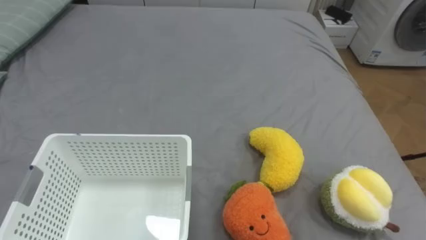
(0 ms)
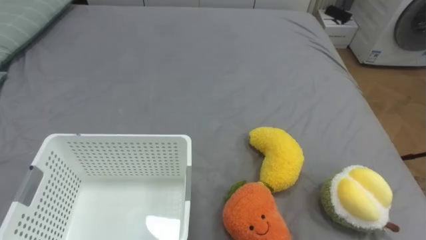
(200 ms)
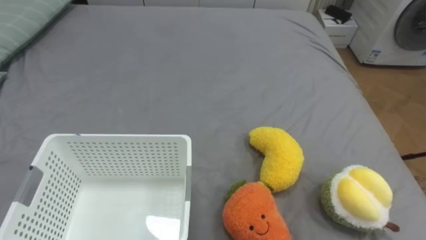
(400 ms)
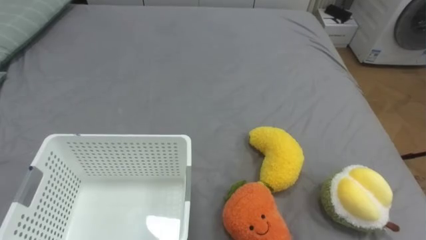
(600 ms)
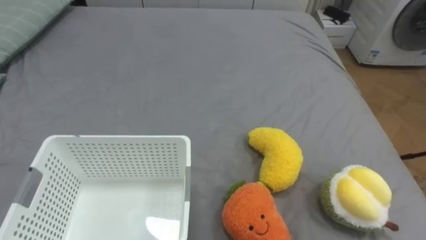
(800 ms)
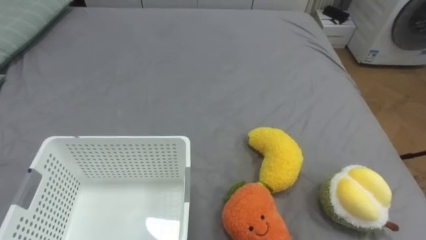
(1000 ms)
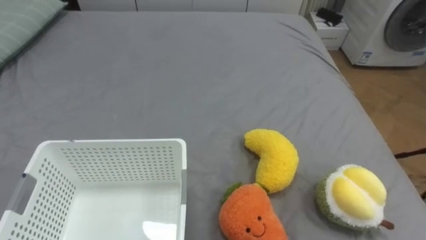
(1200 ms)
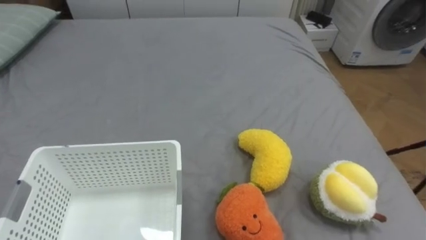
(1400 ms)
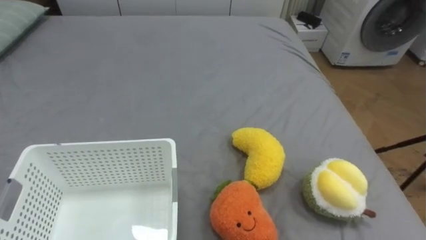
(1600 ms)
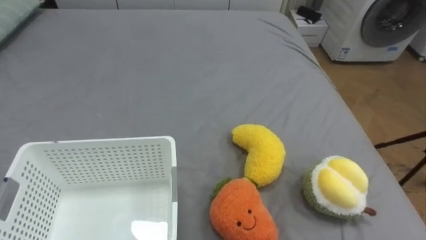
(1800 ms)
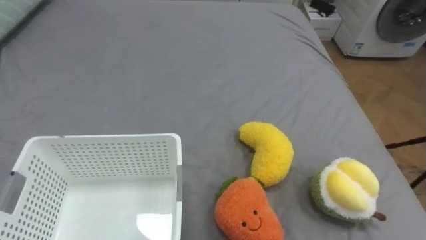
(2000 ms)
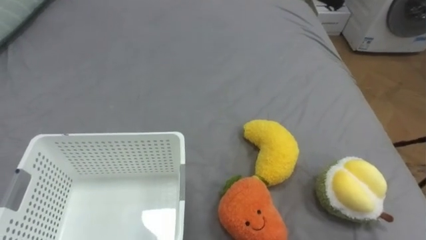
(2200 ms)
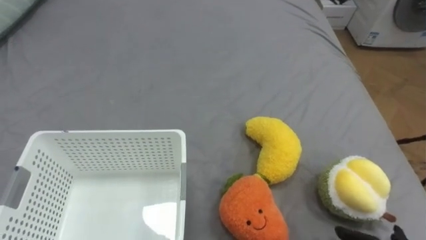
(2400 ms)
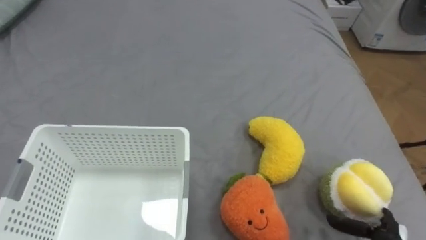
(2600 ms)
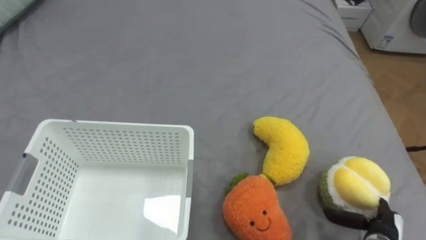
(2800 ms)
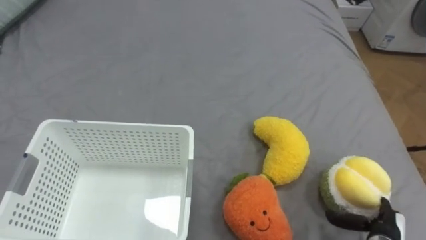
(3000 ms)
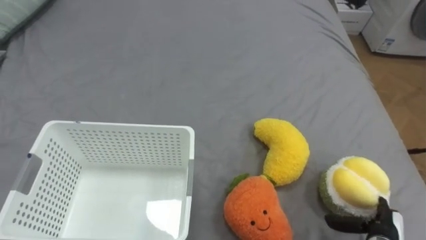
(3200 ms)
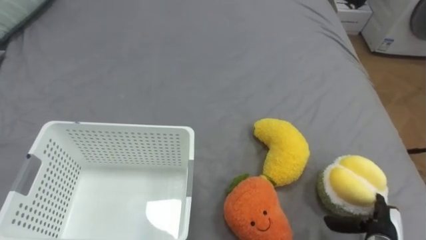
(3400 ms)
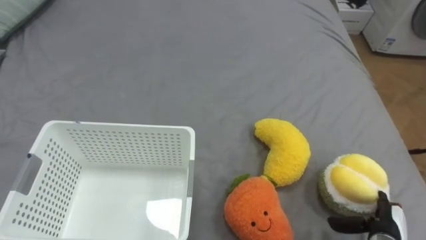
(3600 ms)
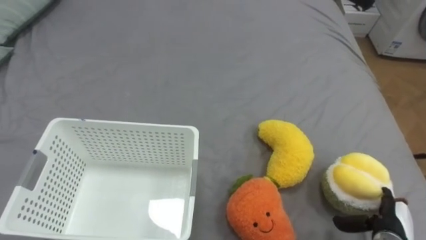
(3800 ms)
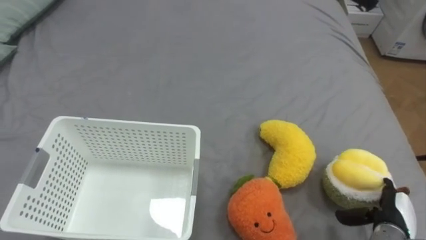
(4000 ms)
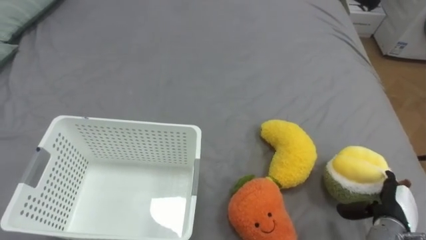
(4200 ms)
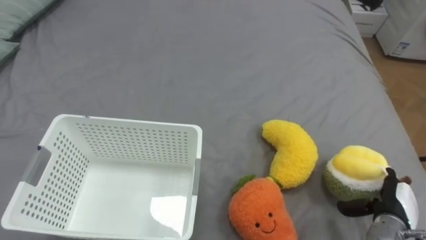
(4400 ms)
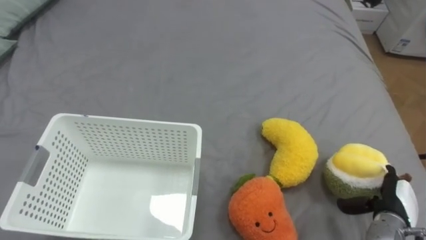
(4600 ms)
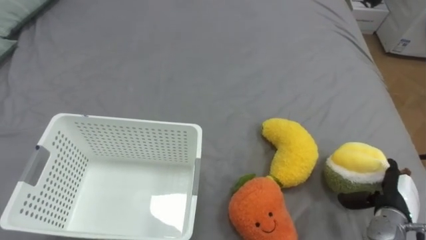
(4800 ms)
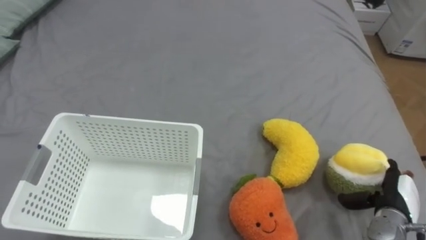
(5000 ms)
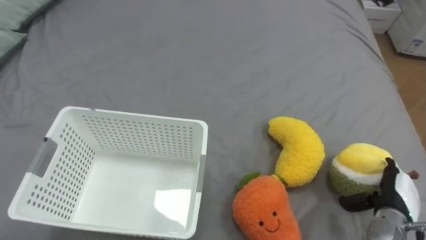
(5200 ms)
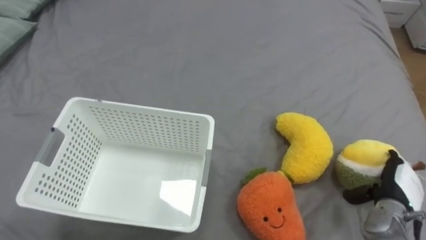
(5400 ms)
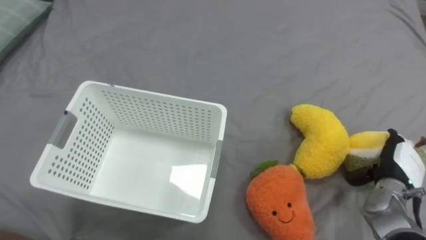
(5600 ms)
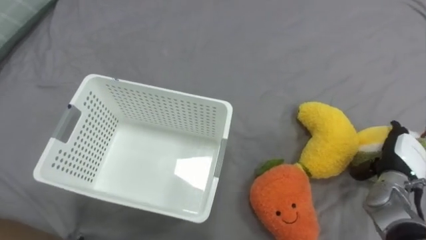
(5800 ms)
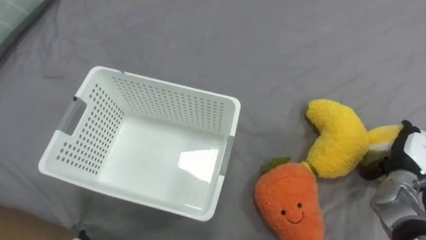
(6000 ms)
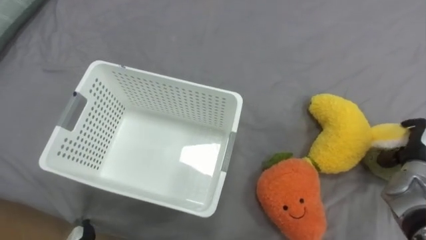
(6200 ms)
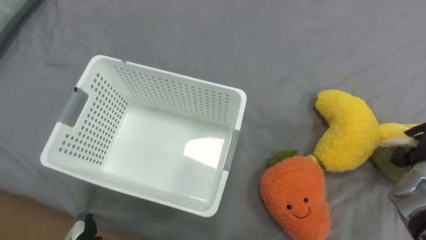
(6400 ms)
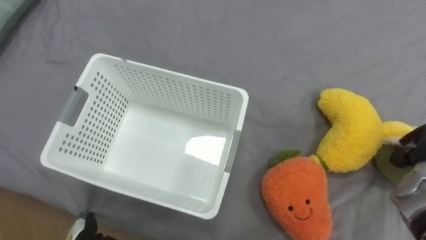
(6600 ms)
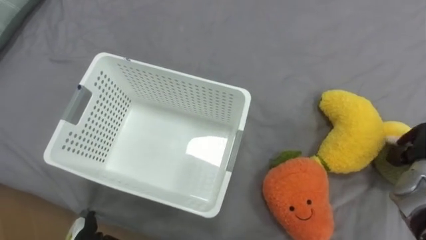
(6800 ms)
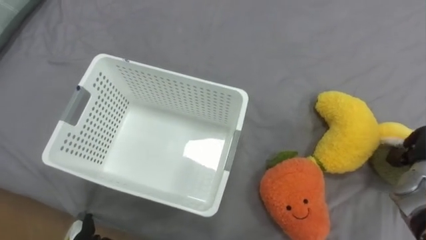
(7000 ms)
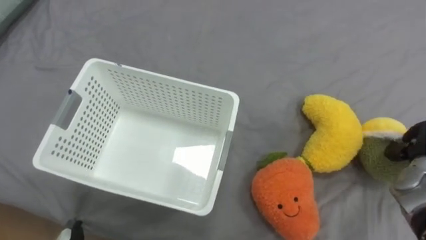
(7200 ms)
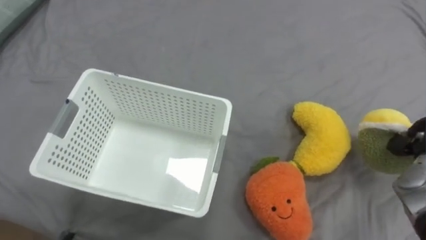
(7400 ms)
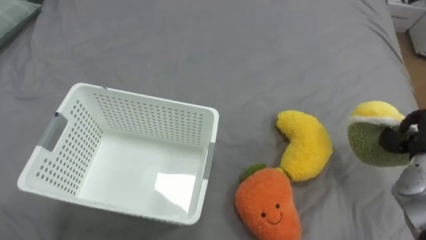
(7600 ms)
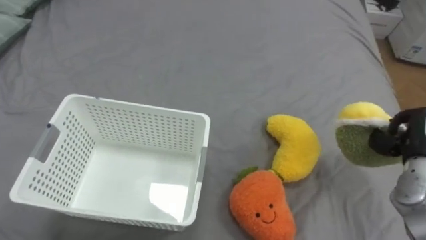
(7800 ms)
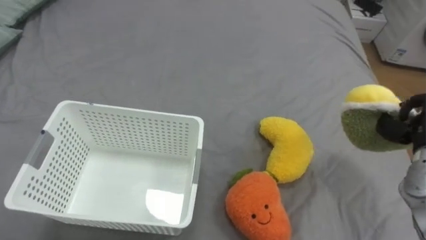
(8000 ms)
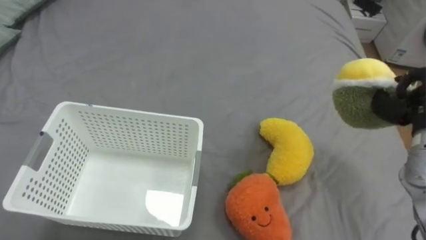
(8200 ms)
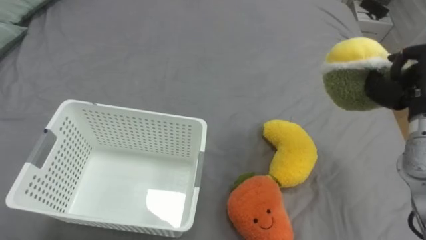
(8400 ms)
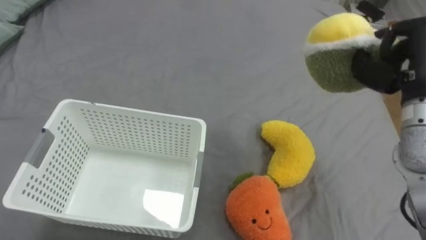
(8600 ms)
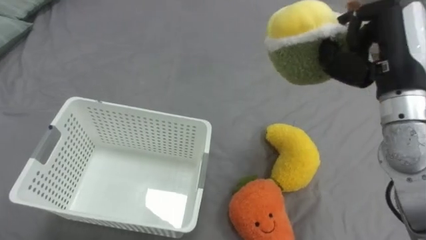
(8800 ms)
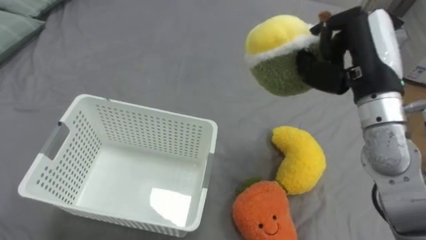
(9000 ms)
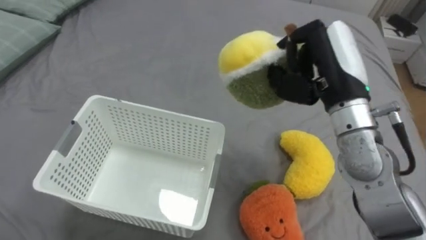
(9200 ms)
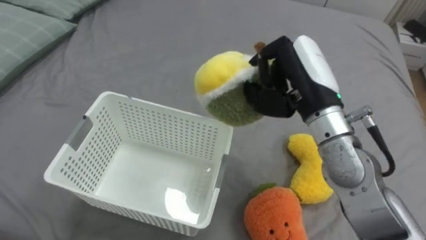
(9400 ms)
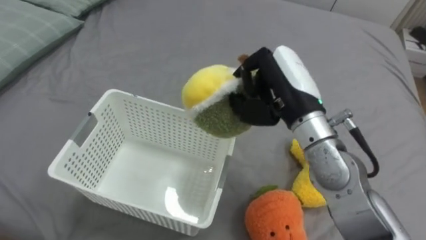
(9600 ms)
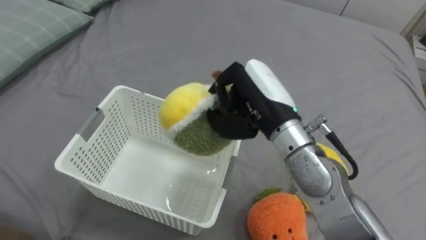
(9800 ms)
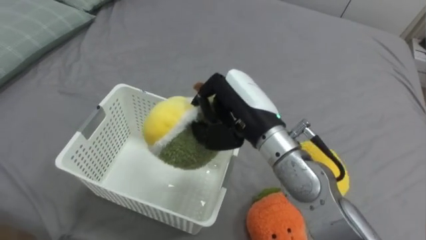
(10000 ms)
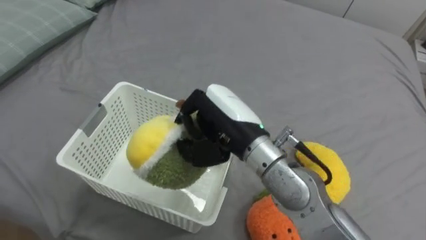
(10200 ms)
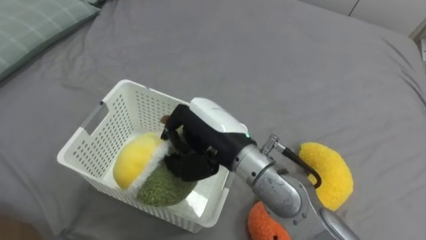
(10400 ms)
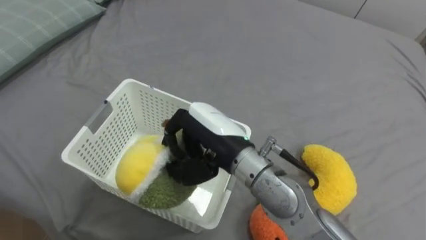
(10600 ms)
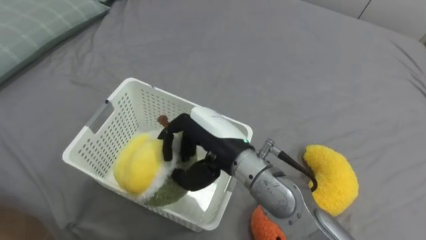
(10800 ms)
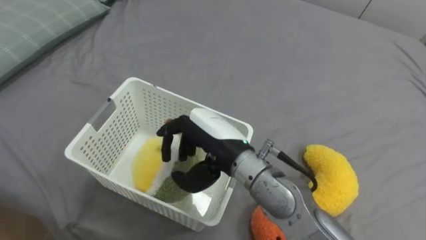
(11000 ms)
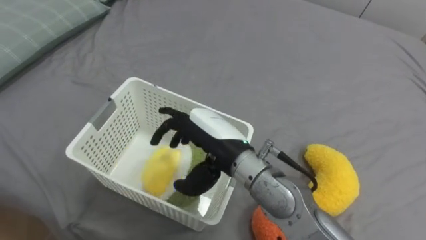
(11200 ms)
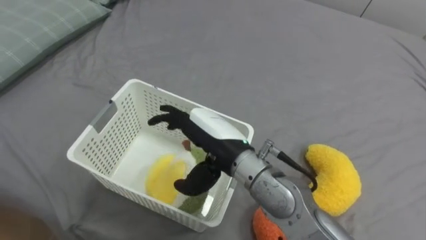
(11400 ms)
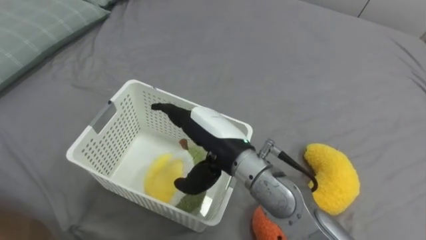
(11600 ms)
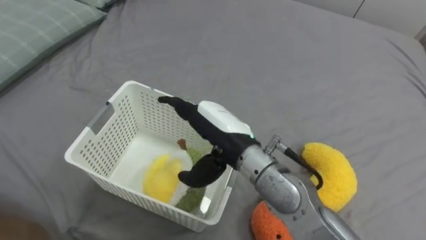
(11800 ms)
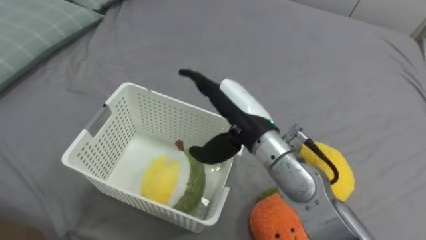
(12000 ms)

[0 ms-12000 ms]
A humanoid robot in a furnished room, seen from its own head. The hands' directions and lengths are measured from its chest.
Task of the whole recording: Put the toys on the bed into the basket on the left.
3000 ms to 4400 ms: The right hand ends up about 5 cm from where it was.
4400 ms to 6000 ms: The right hand goes approximately 10 cm forward and upward.
9000 ms to 10400 ms: The right hand moves to the left, roughly 20 cm.
10400 ms to 12000 ms: The right hand opens up.

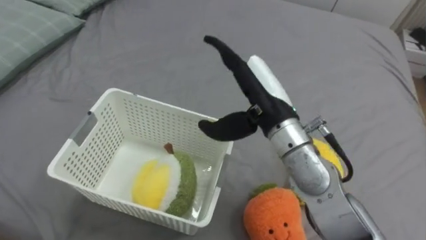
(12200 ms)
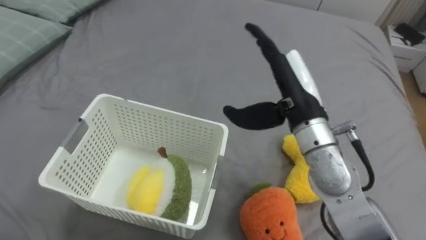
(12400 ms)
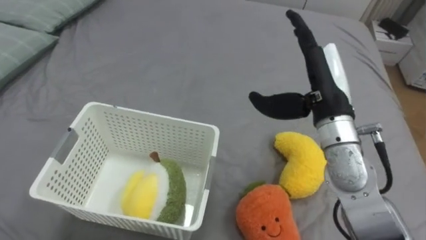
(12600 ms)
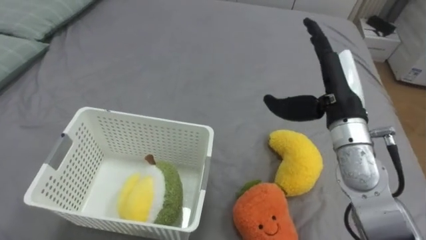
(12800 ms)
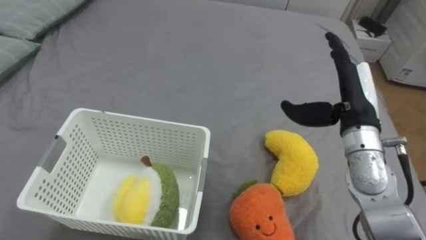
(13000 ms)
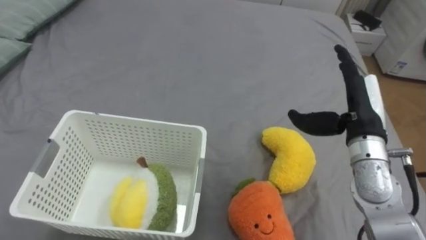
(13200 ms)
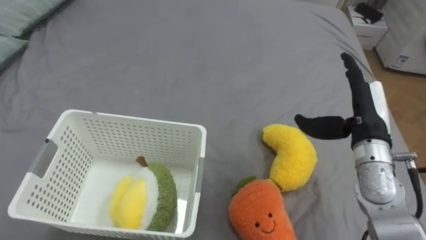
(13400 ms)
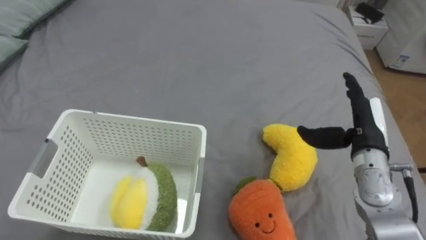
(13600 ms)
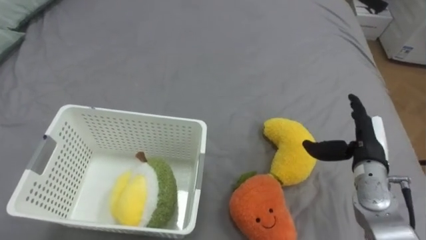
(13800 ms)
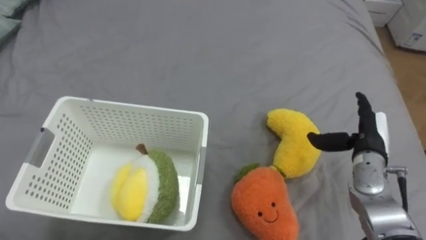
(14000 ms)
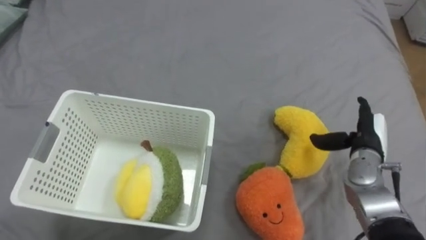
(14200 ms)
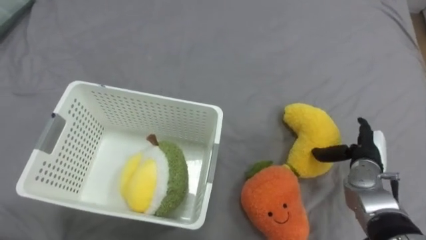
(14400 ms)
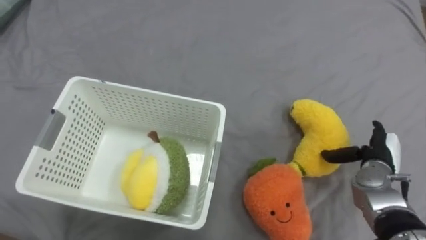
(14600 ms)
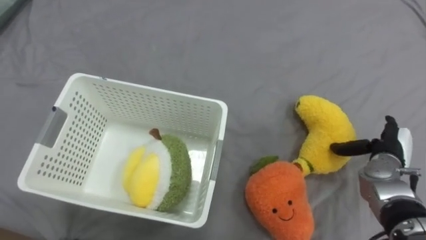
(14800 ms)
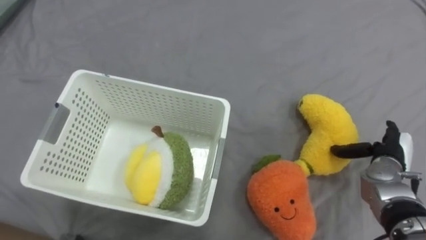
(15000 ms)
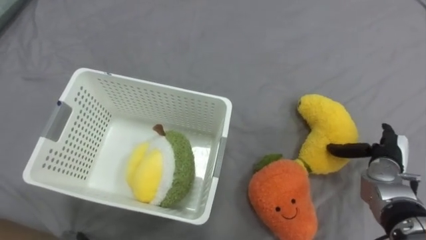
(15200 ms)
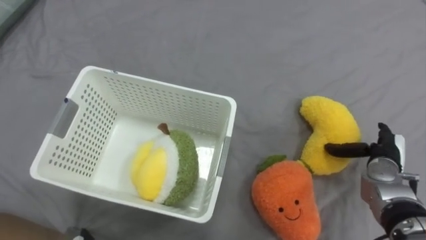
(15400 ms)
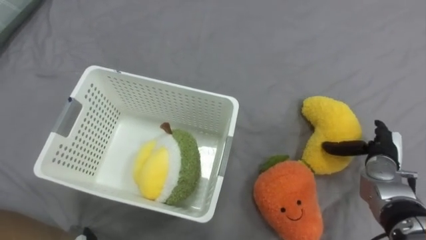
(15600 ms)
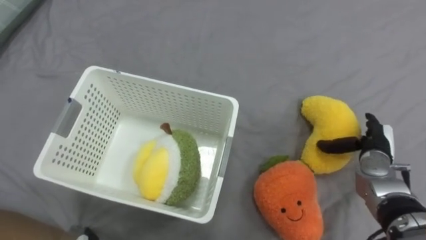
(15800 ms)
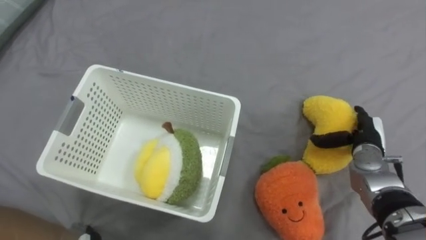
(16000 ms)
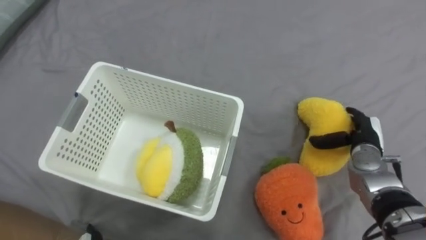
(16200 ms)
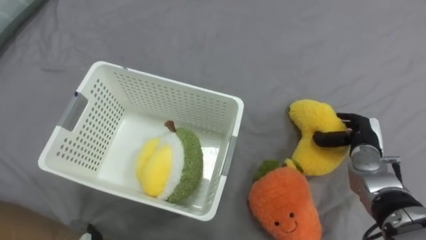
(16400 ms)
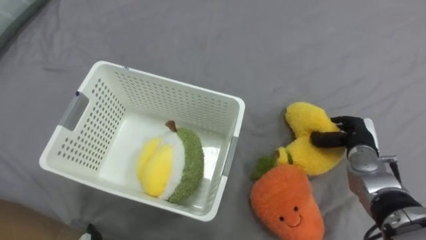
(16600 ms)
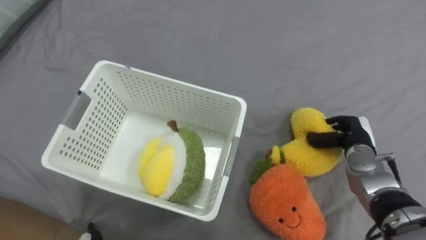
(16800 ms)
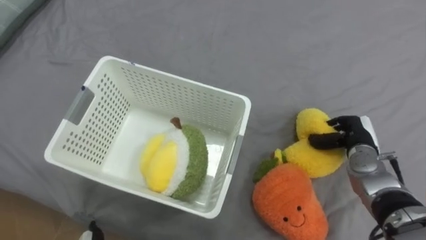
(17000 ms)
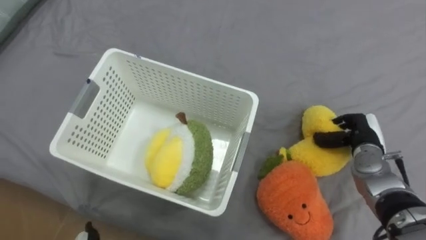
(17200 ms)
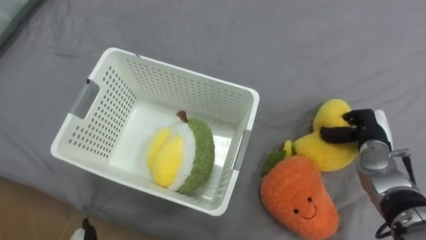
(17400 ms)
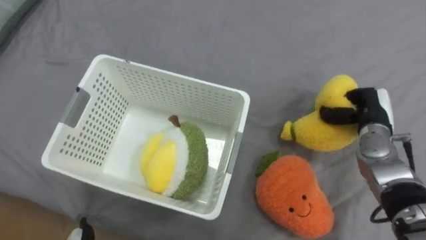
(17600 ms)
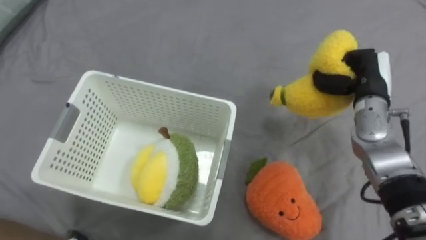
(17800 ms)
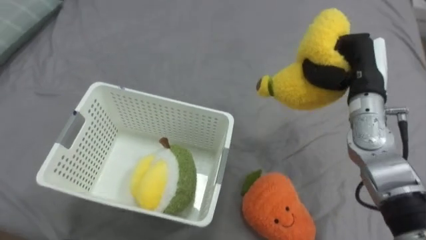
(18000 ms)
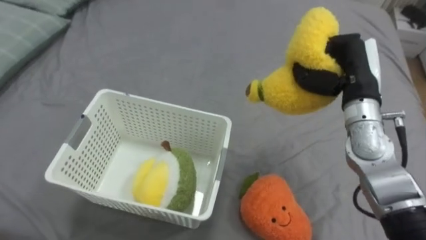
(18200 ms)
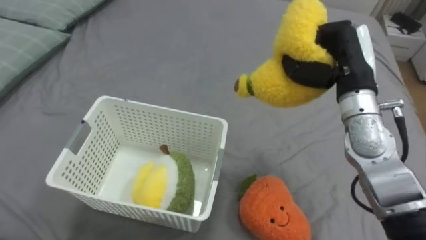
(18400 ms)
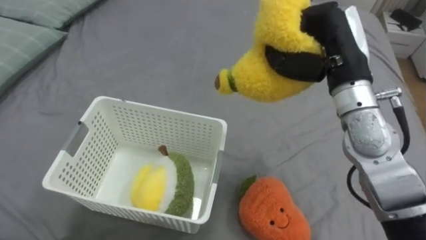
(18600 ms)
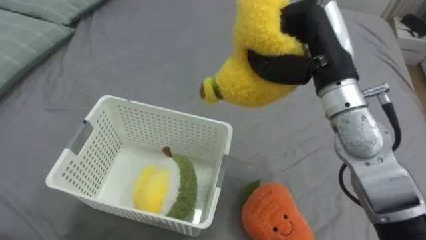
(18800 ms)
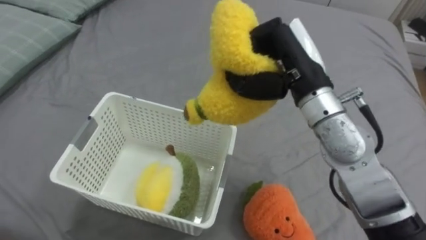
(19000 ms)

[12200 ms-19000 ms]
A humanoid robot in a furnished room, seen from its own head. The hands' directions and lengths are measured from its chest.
Task of the whole recording: Put the toys on the bed into the basket on the left.
12200 ms to 13600 ms: The right hand travels to the right and downward by some 20 cm.
13600 ms to 15000 ms: The right hand goes approximately 15 cm downward and to the right.
15000 ms to 16200 ms: The right hand moves some 5 cm.
16200 ms to 17600 ms: The right hand closes up.
17600 ms to 19000 ms: The right hand travels to the left and upward by some 25 cm.
